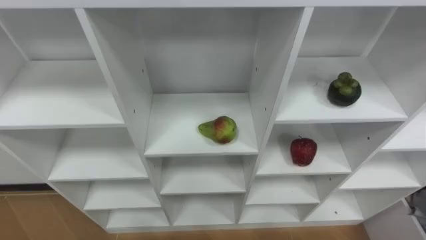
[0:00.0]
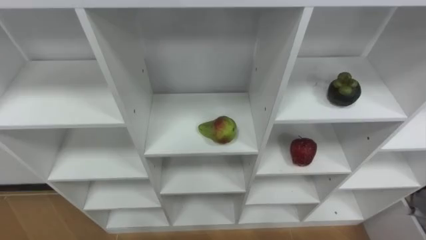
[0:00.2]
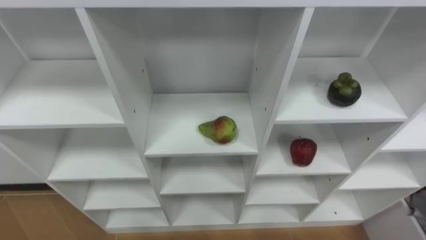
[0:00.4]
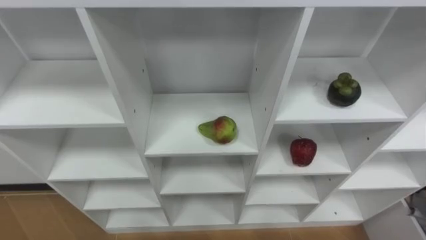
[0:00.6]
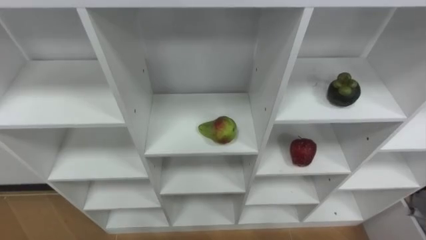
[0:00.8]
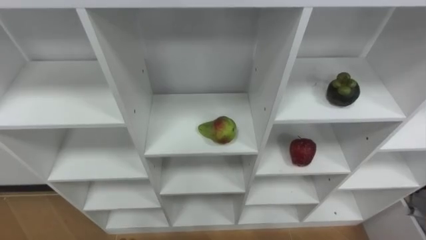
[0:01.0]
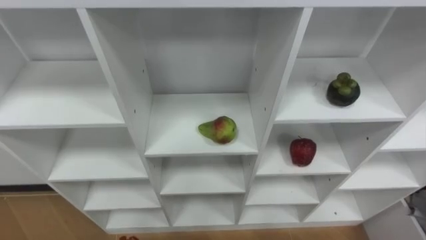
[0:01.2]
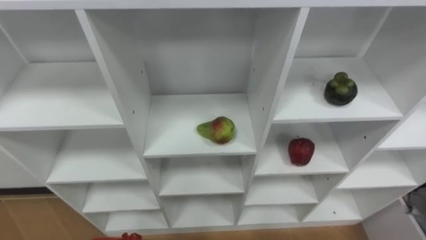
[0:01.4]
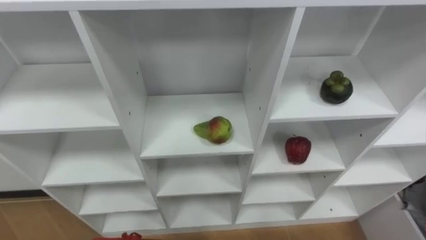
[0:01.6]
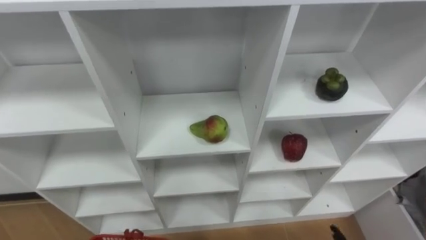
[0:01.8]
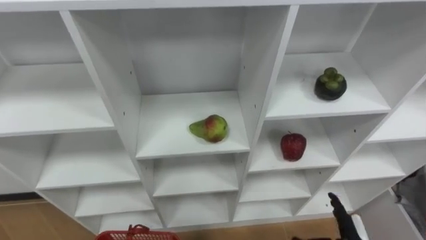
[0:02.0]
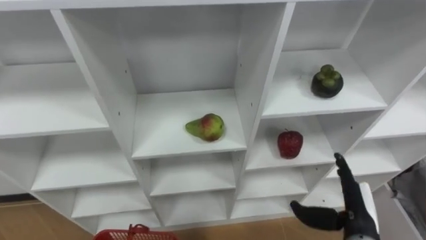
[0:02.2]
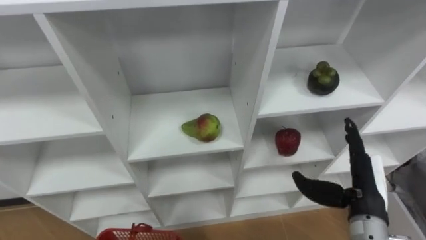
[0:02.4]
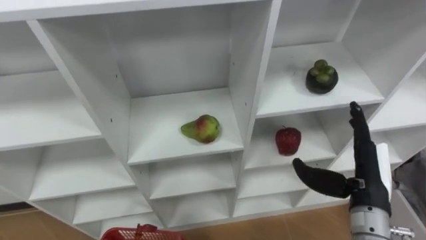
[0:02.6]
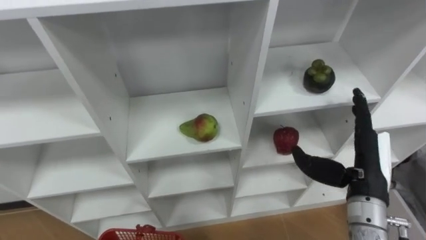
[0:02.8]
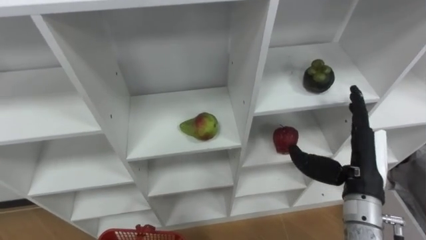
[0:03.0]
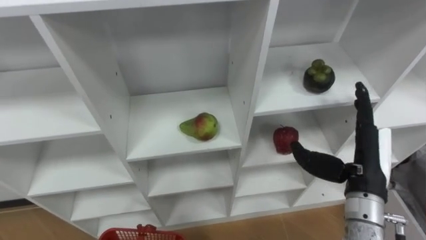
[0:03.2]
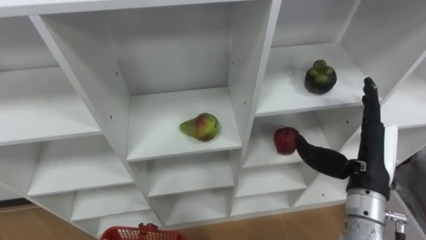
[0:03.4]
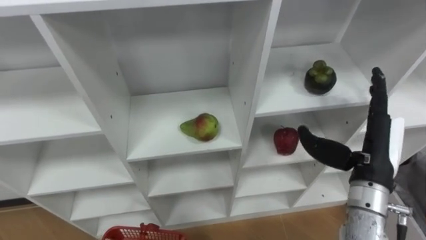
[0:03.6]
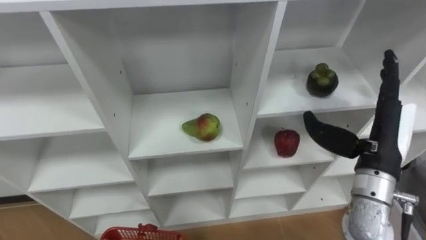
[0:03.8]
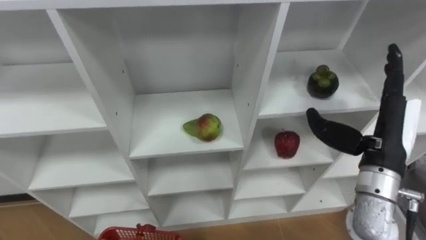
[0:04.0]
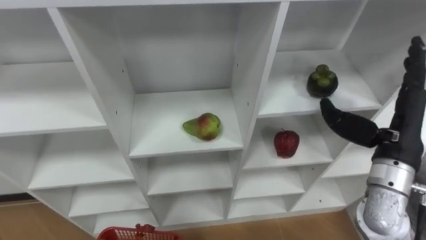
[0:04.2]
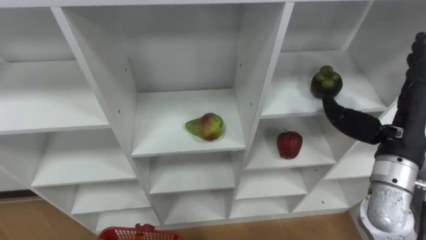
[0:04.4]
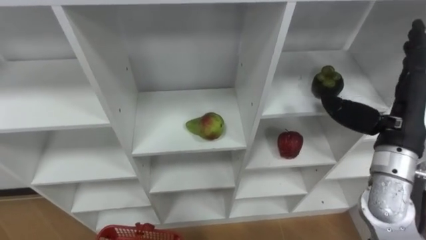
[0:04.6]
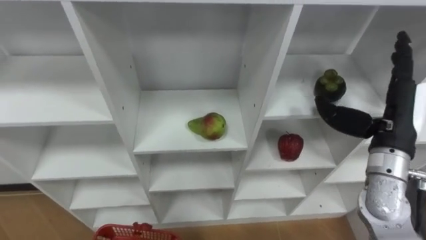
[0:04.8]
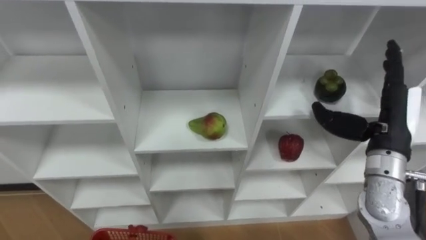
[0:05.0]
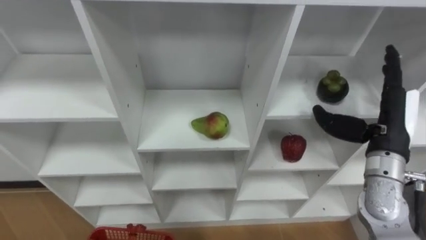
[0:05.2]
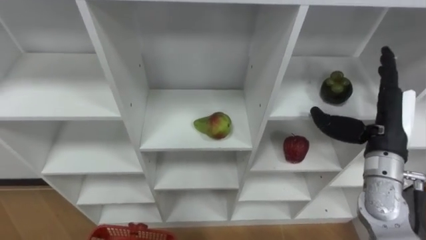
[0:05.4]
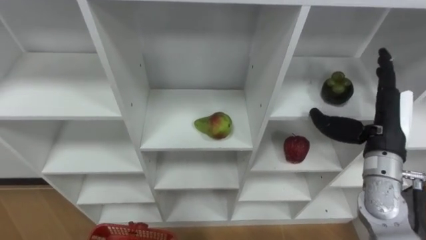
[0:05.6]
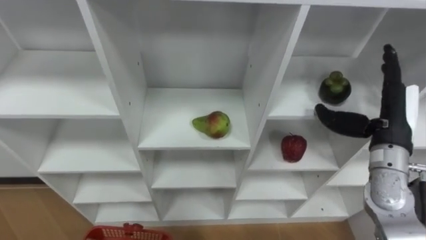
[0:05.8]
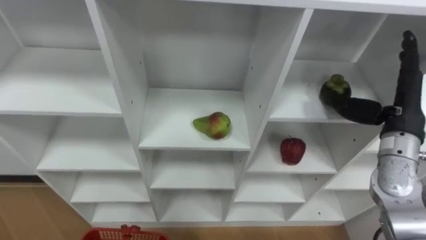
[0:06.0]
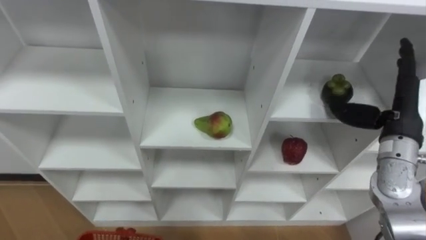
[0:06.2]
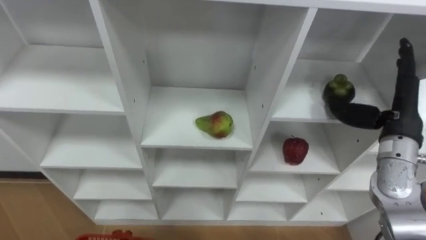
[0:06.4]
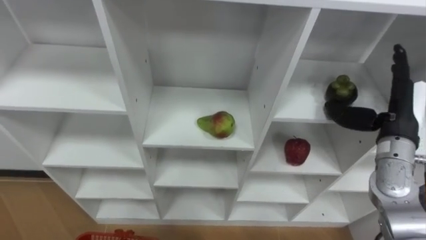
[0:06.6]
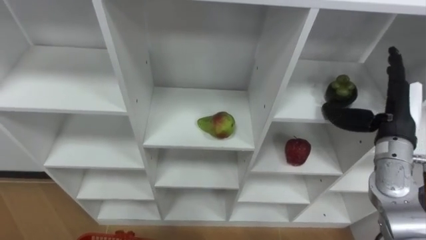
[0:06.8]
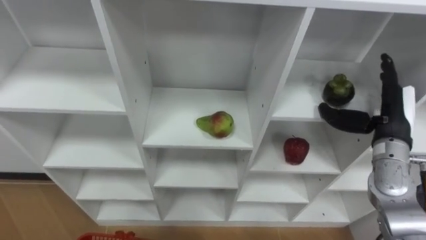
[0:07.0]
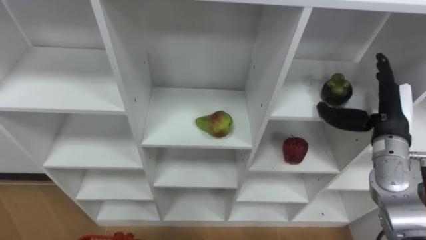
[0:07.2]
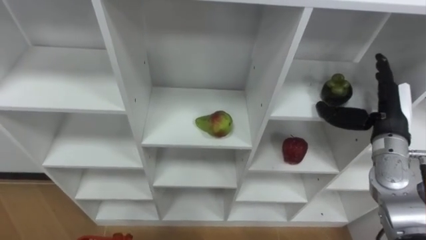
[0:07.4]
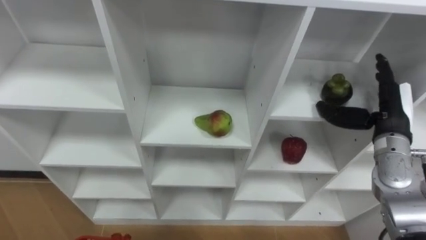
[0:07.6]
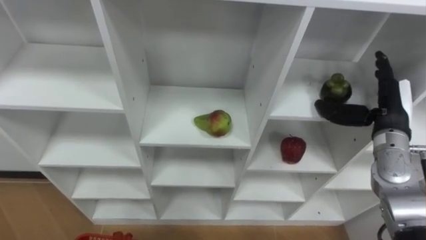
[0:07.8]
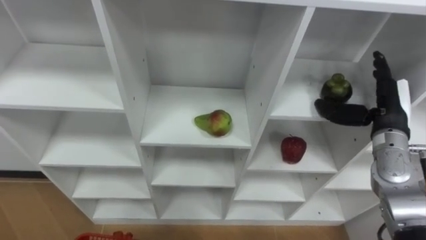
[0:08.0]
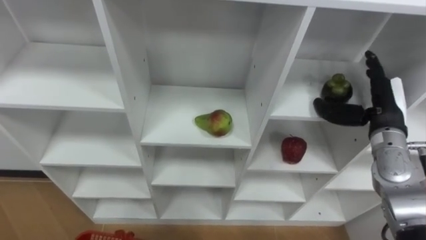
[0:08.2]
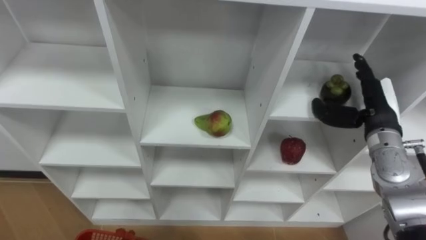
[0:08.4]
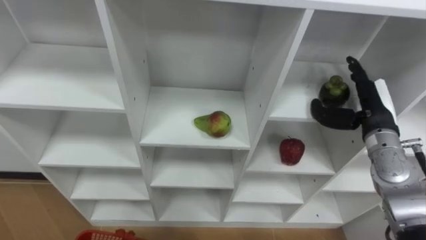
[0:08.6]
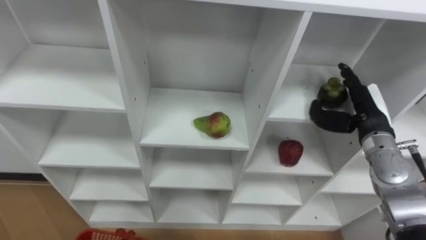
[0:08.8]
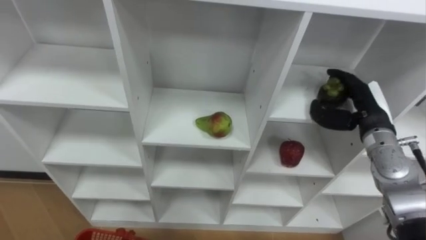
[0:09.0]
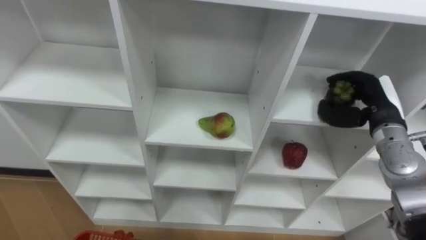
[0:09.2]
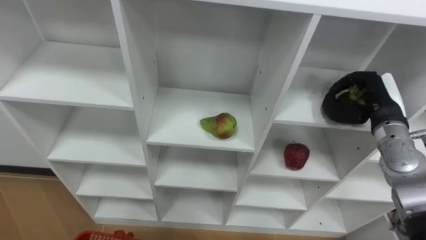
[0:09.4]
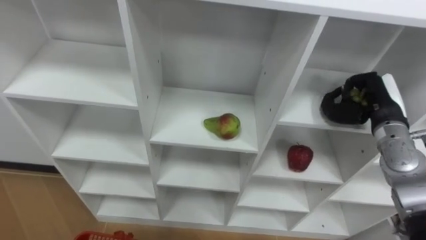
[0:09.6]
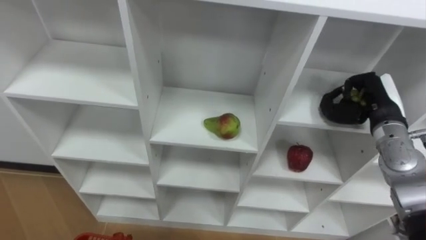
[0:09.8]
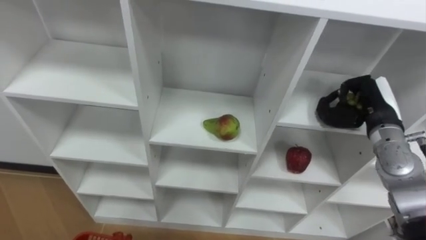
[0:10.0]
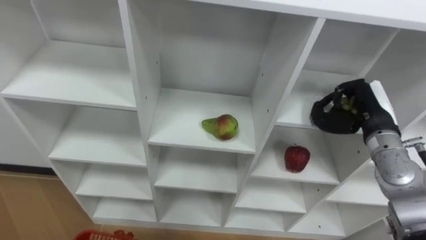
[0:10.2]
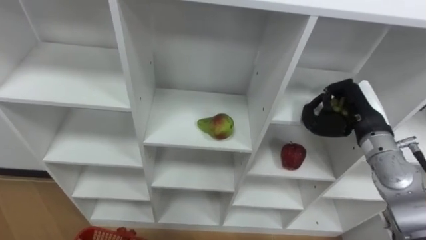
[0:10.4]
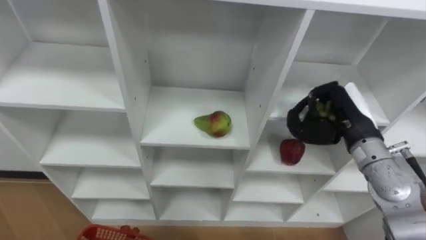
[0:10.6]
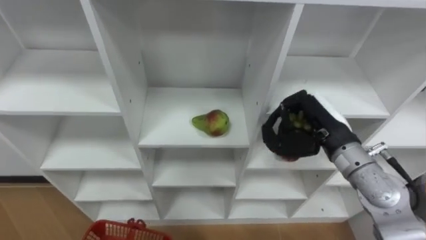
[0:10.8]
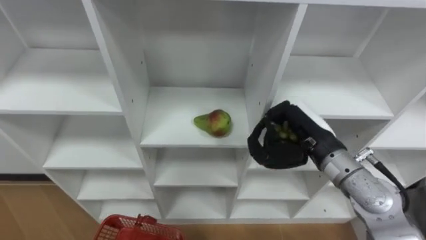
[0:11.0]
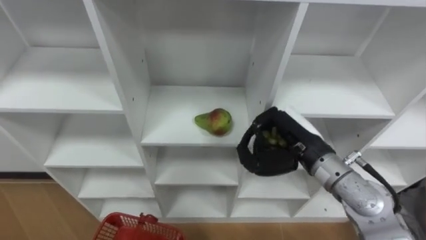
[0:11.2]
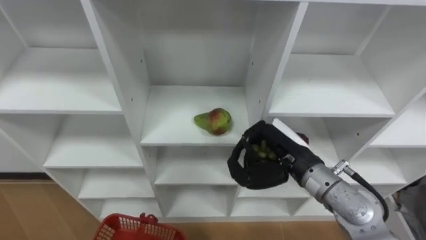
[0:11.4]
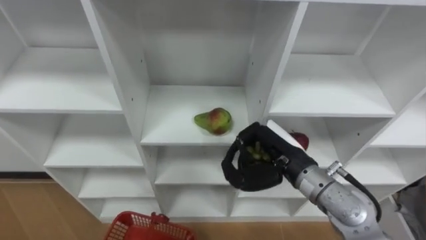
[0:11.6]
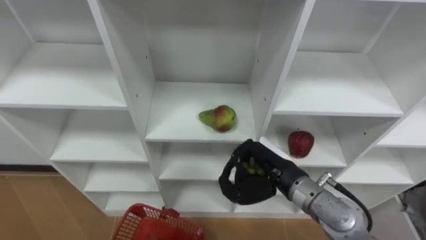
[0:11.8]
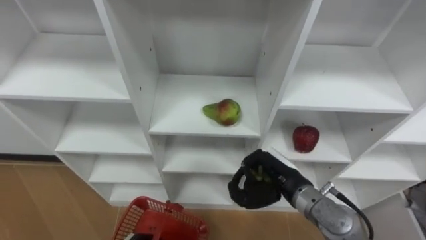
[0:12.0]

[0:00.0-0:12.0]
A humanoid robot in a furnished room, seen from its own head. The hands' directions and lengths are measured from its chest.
Task of the whole recording: Hold the basket and collect the fruits from 3 different cells of the closet into it.
0:03.0 to 0:04.4: The right hand is displaced upward by some 5 cm.
0:04.4 to 0:06.0: The right hand moves approximately 5 cm.
0:09.0 to 0:10.4: The right hand closes.
0:10.4 to 0:12.0: The right hand moves to the left, downward and backward, approximately 20 cm.

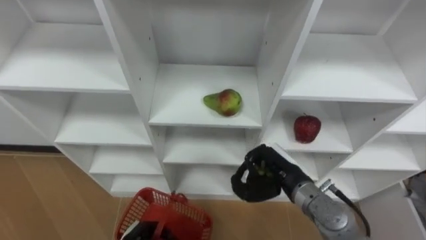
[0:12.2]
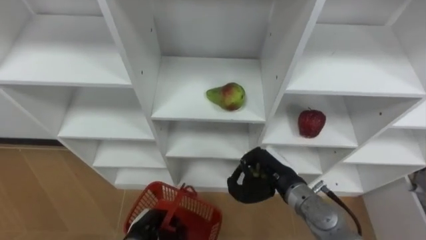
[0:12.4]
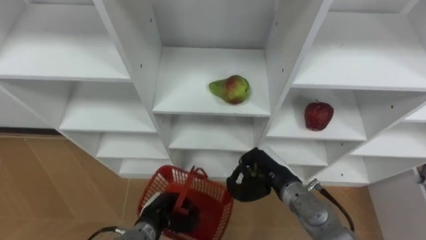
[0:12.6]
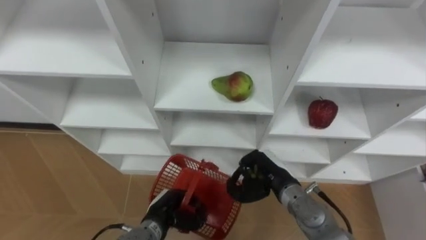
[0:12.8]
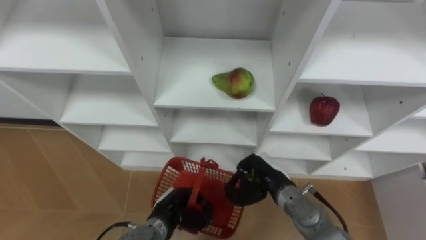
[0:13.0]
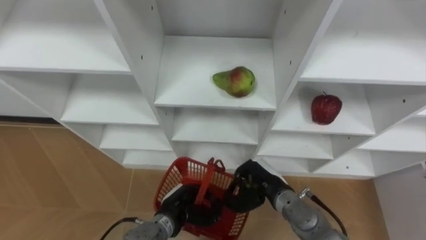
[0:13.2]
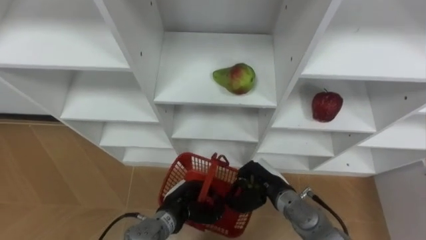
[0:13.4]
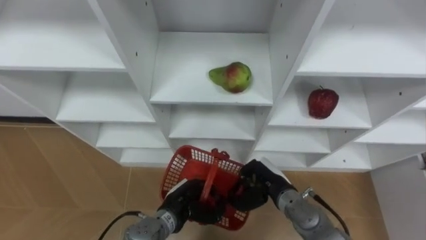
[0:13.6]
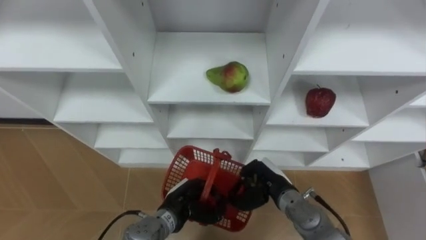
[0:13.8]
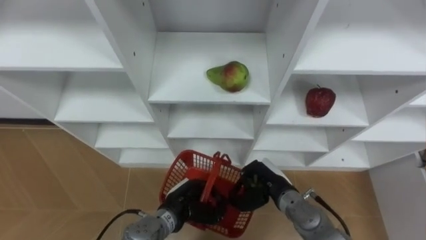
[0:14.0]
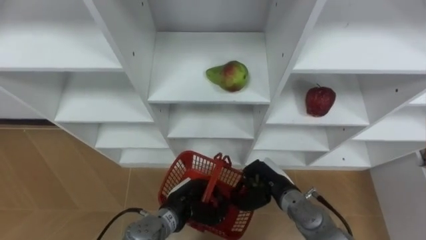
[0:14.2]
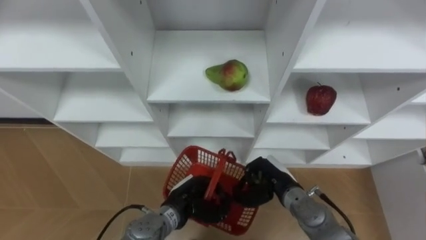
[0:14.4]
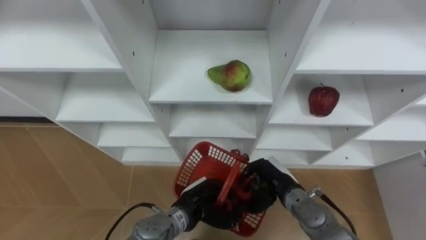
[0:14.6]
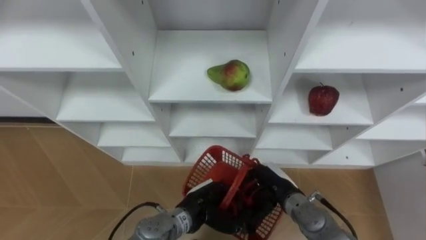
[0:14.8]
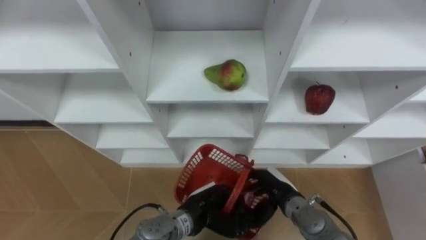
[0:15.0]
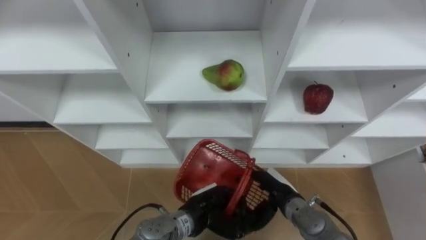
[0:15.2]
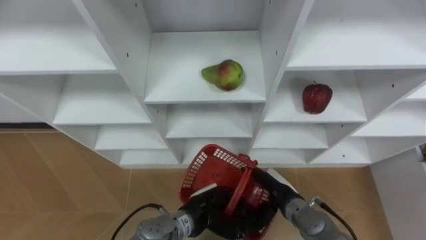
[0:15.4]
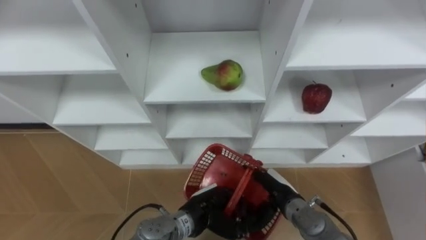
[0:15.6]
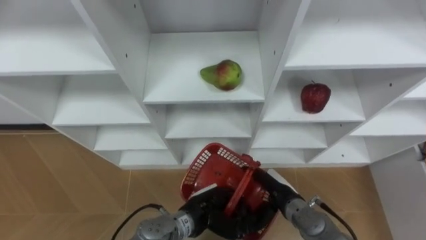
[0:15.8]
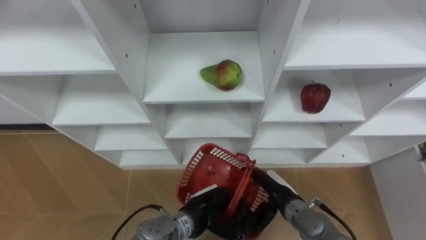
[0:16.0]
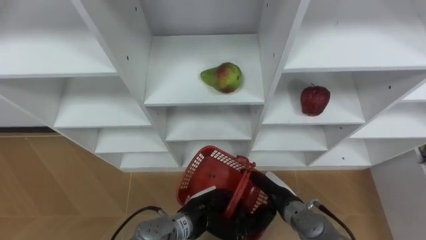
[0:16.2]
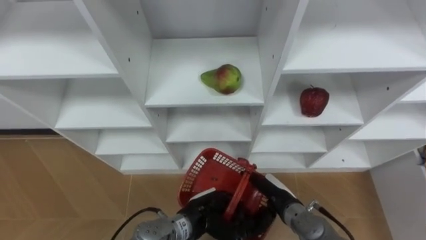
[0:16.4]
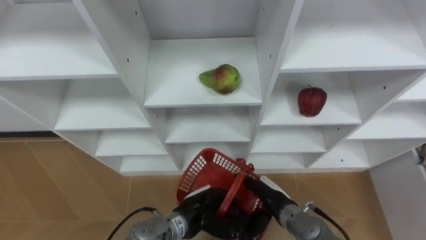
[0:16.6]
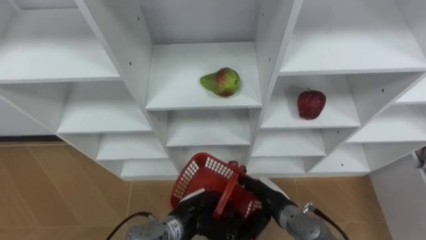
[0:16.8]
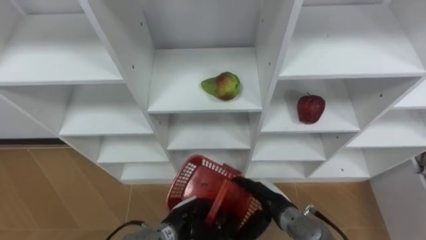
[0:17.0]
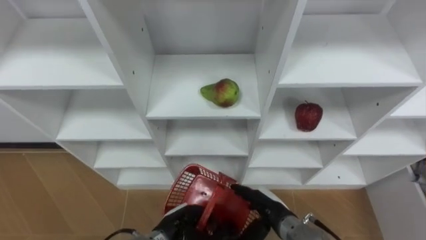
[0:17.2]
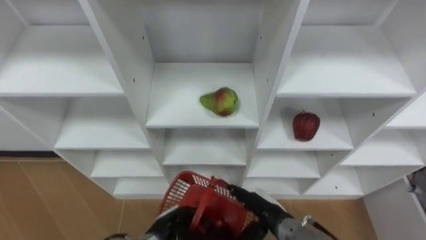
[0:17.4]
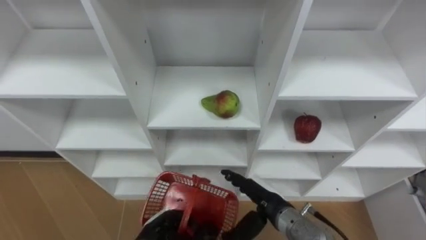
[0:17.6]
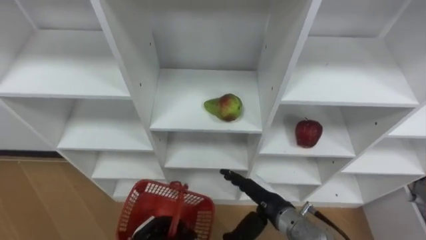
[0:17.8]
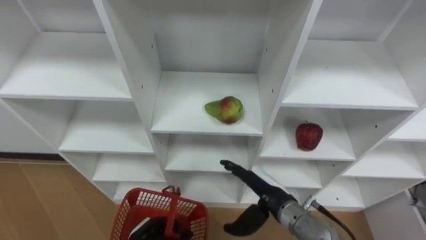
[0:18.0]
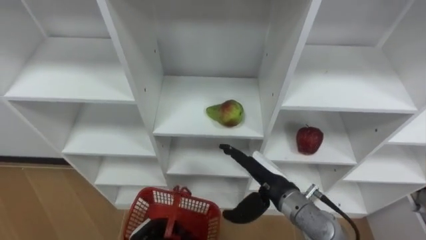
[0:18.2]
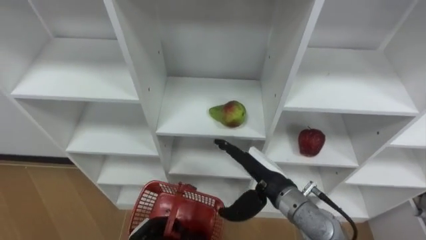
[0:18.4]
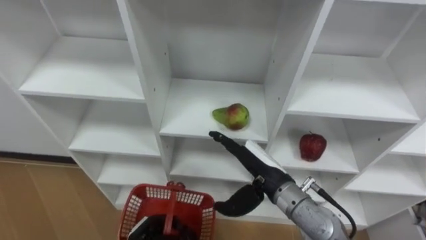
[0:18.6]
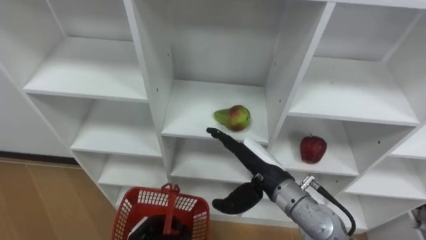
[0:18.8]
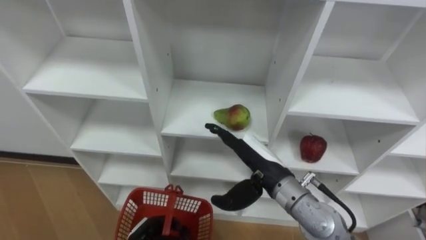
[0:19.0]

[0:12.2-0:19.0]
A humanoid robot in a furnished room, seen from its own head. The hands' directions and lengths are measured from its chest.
Task of the whole recording: Hold the basket and collect the fruits from 3 different cells of the closet into it.
0:12.2 to 0:13.6: The right hand heads downward, covering roughly 5 cm.
0:13.6 to 0:15.0: The left hand moves some 5 cm, while the right hand opens up.
0:15.0 to 0:16.2: The two hands keep their place.
0:16.2 to 0:17.6: The left hand shifts approximately 10 cm to the left and downward.
0:17.6 to 0:19.0: The right hand moves upward, about 10 cm.
